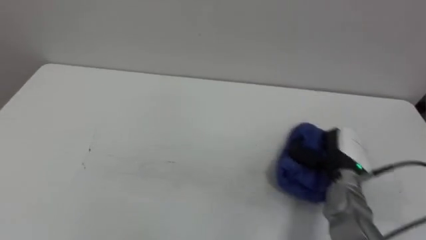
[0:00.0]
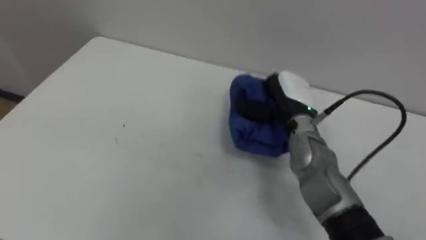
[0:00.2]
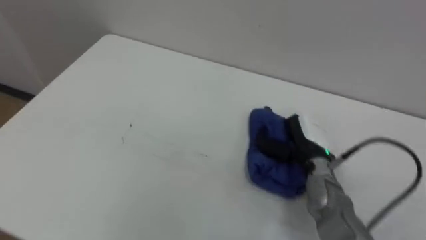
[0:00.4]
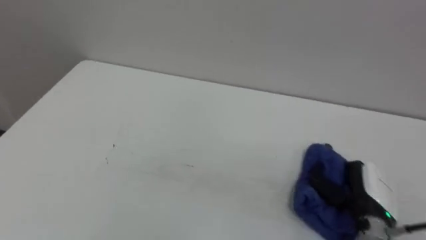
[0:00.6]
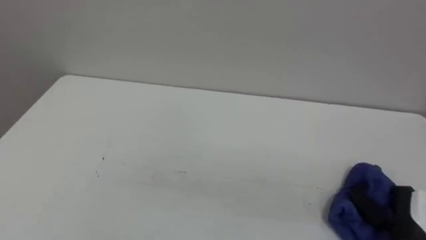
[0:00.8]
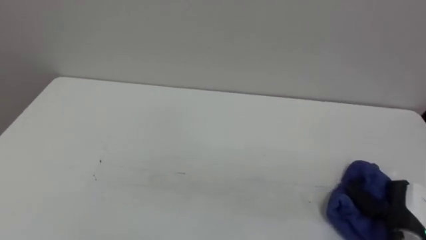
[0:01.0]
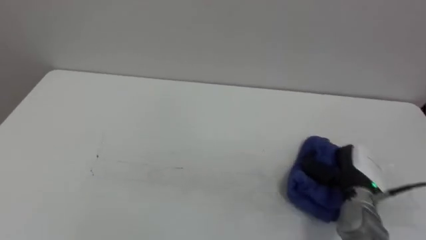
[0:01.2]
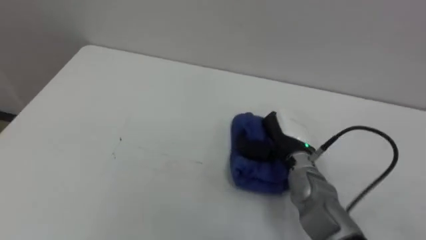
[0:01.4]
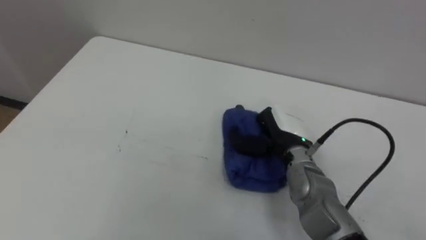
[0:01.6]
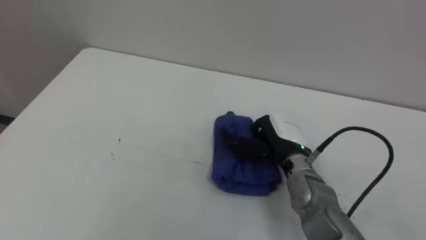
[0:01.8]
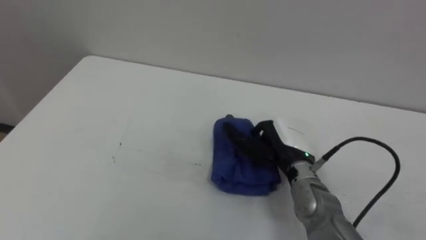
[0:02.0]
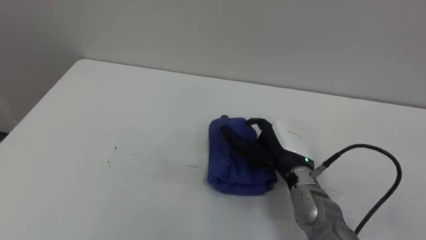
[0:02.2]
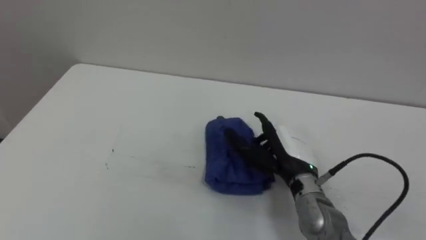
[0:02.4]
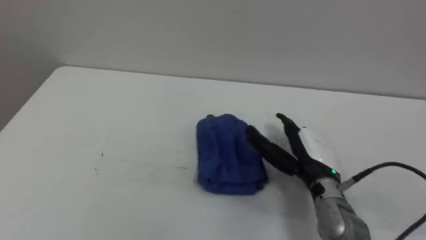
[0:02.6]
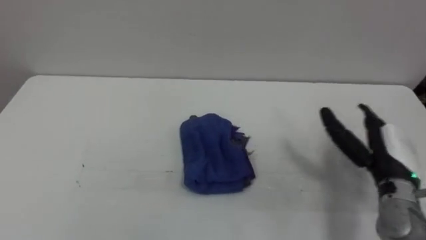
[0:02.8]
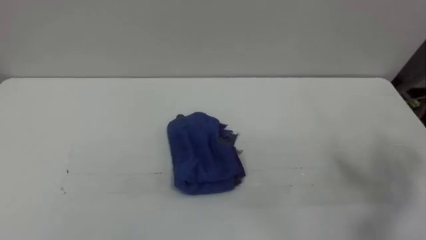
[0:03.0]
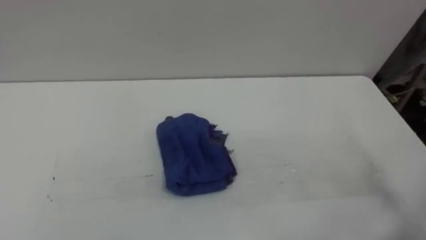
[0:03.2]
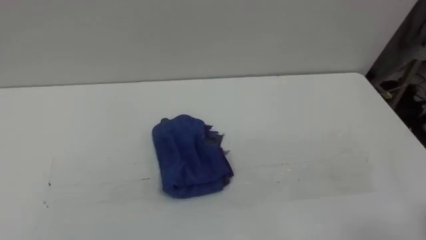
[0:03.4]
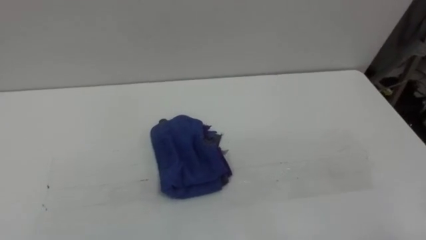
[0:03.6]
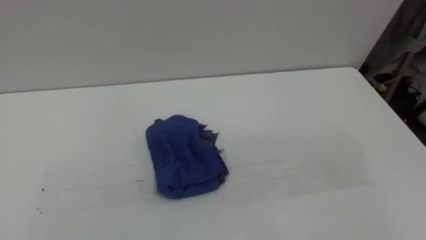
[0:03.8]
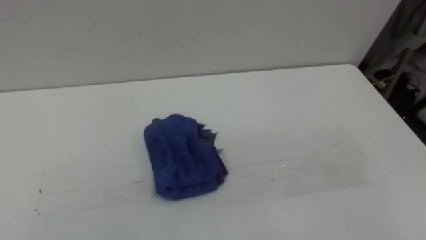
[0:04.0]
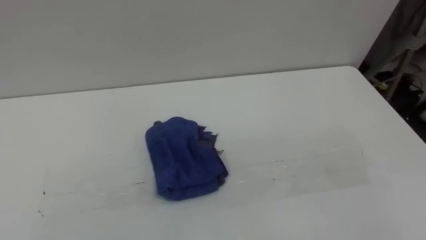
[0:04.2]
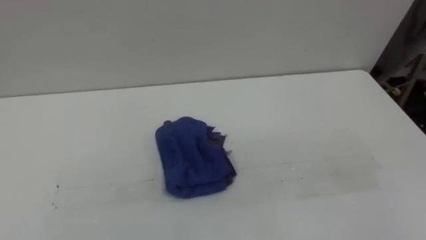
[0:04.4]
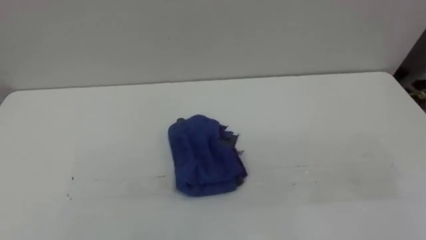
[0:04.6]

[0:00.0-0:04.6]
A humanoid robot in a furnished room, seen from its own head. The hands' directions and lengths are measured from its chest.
Task of the whole recording: Wipe the blue pen marks off the table with the rag.
0:00.0 to 0:01.6: The right hand moves left and right over approximately 20 cm, changing direction 2 times.

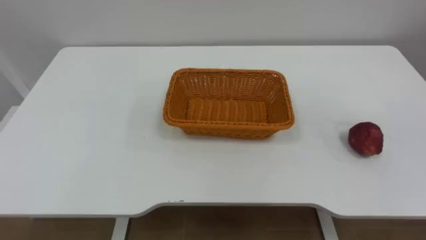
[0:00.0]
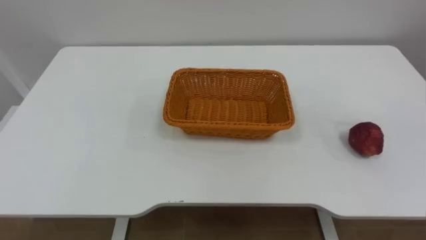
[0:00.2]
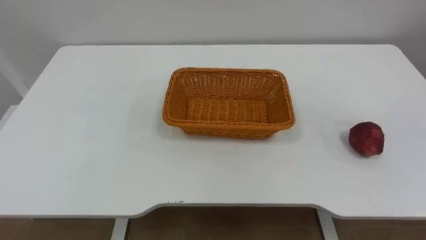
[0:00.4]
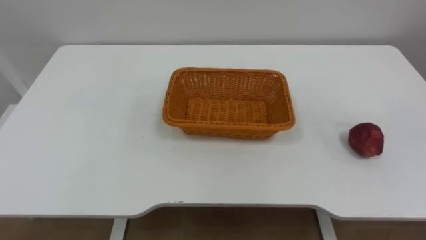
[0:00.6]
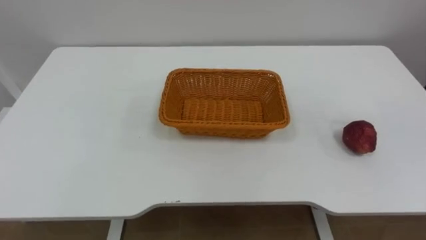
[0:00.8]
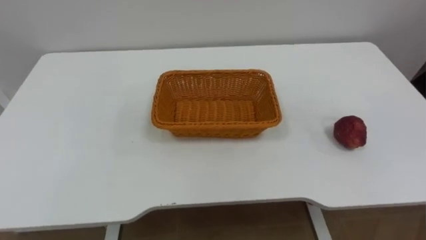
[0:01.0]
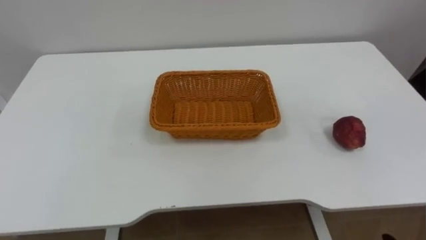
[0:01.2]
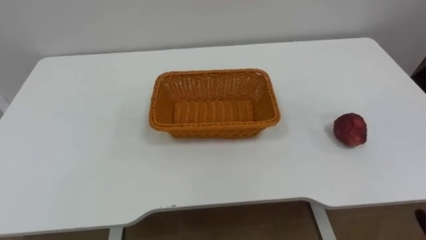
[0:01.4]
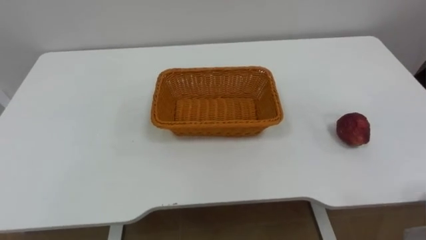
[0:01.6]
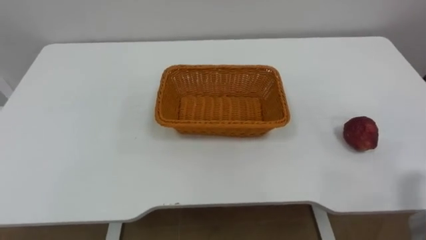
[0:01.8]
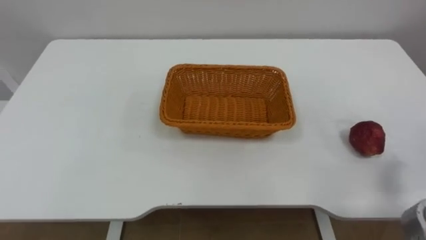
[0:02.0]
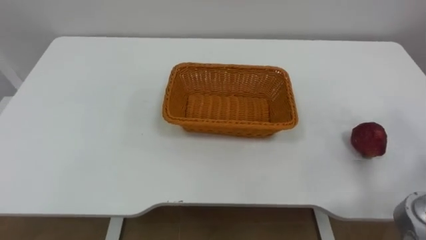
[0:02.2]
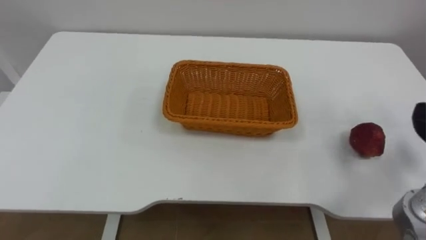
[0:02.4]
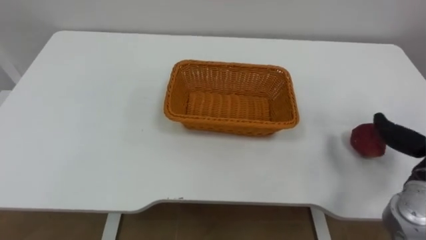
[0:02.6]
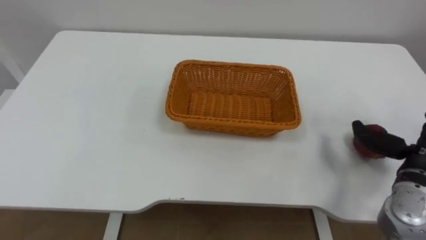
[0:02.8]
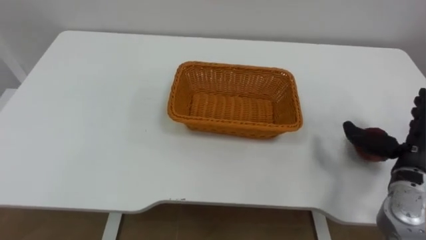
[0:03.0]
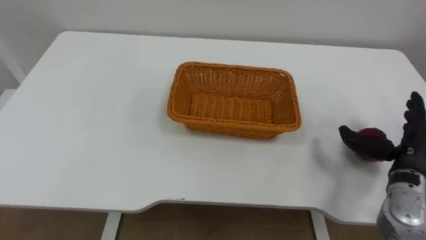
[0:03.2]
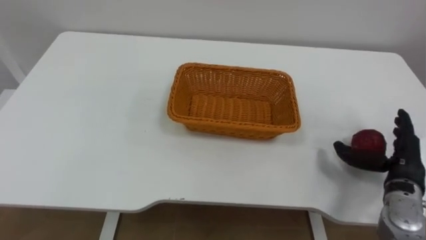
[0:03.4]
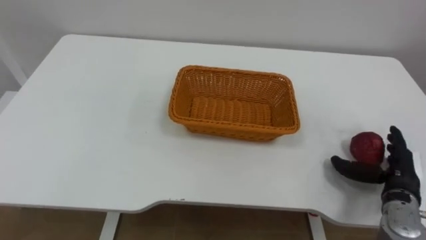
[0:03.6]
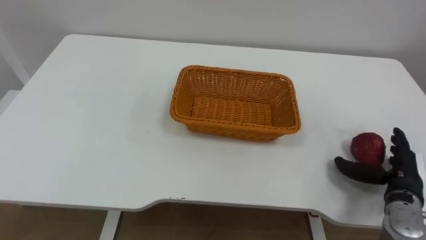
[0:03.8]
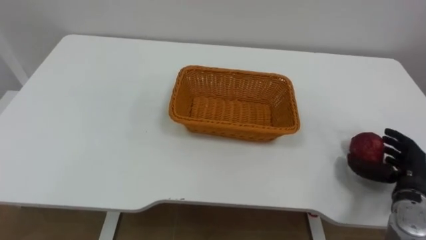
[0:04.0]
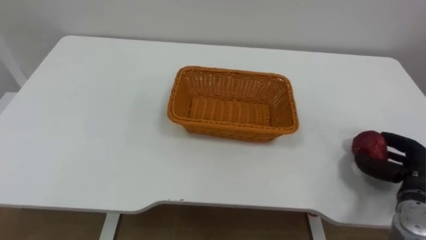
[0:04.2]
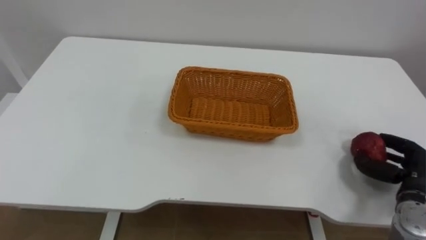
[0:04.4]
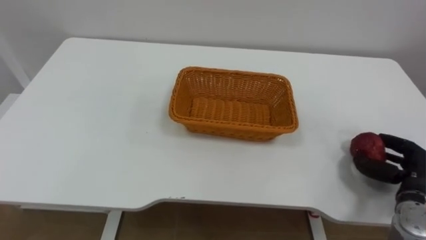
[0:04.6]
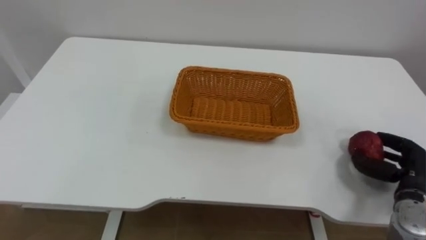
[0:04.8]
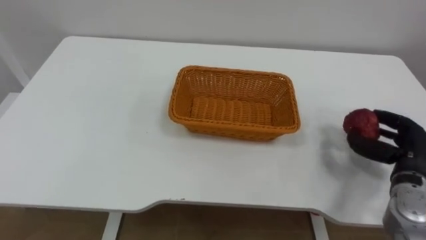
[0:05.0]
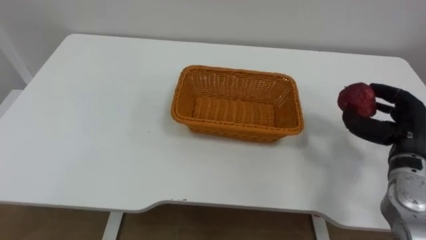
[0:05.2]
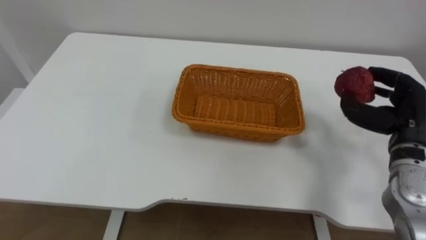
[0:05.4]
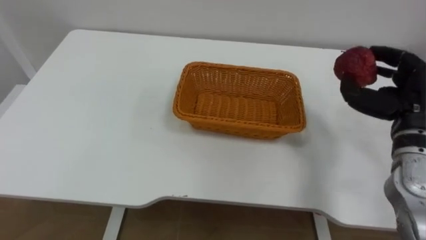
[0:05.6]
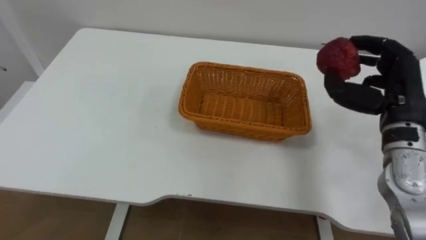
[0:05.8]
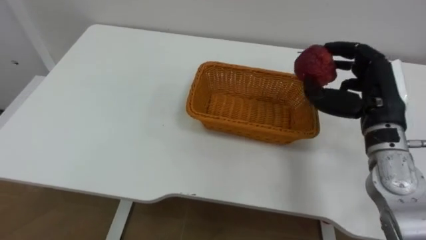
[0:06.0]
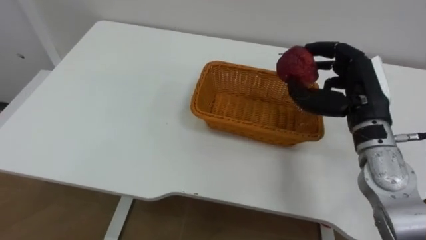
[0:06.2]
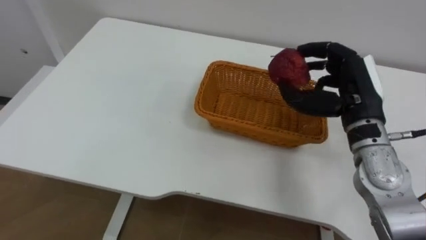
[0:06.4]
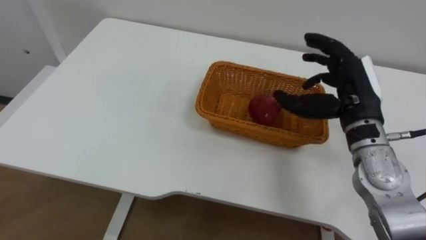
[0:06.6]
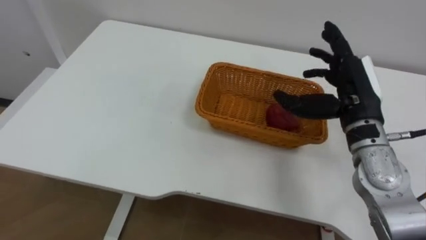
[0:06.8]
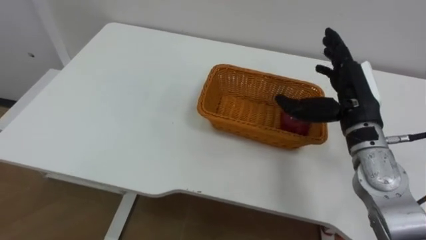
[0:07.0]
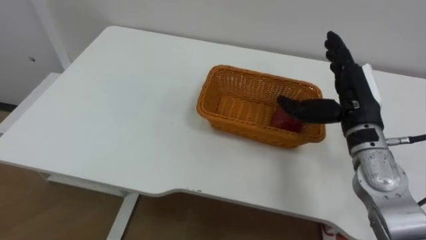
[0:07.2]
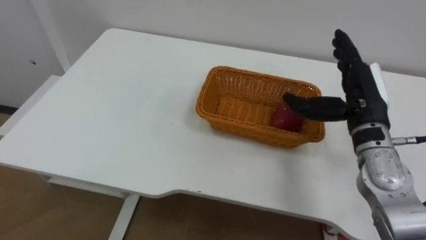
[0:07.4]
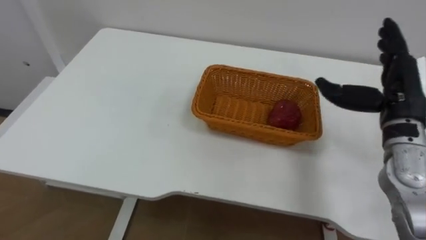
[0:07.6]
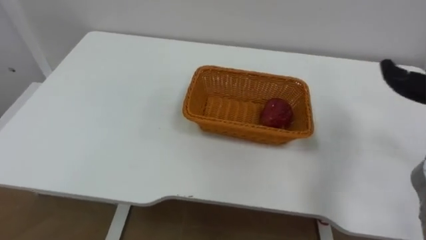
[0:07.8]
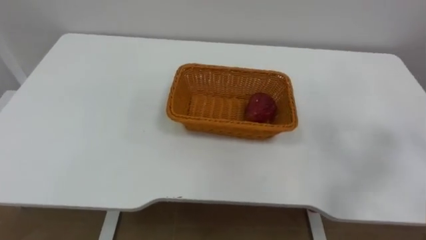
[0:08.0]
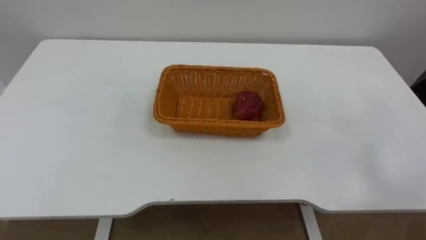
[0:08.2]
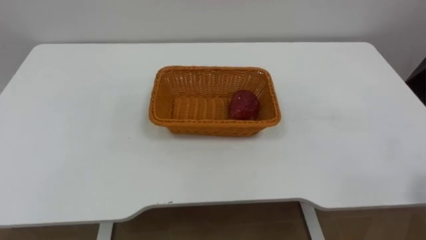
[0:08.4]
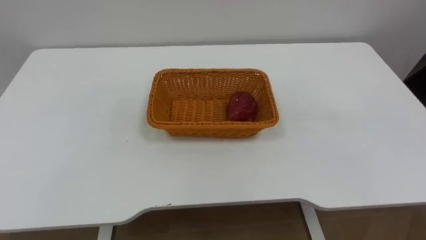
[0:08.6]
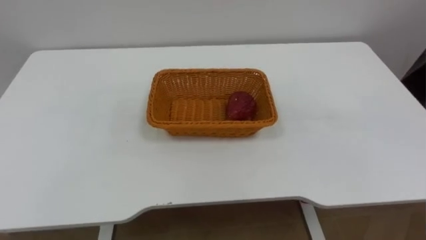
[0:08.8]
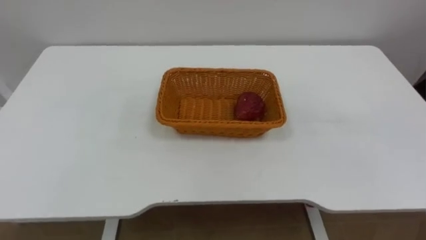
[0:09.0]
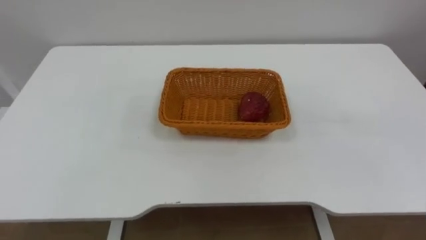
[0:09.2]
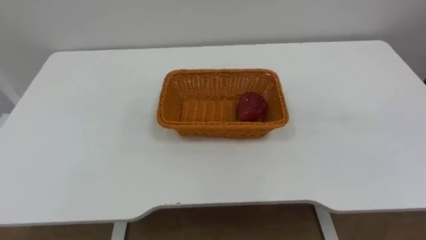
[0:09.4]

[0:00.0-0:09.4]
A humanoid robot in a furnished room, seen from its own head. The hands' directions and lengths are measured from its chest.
Task of the whole recording: Pick the apple and place it in the box.
0:03.2 to 0:04.8: The right hand moves downward, some 5 cm, and closes.
0:04.8 to 0:06.2: The right hand goes some 20 cm upward, to the left and forward.

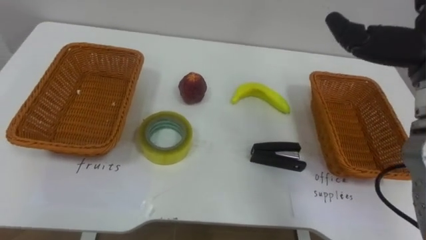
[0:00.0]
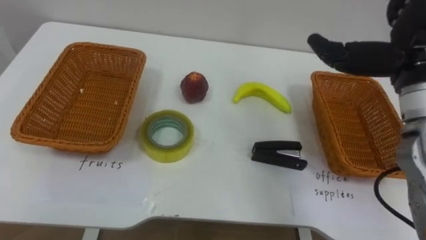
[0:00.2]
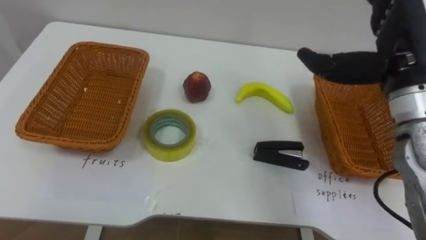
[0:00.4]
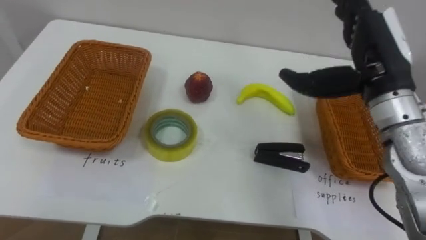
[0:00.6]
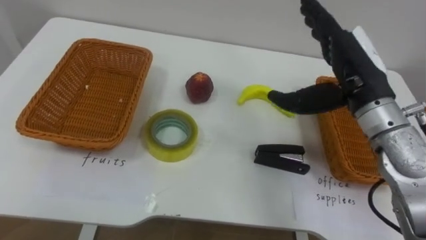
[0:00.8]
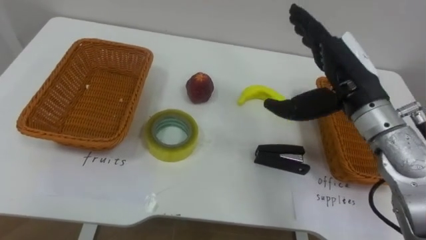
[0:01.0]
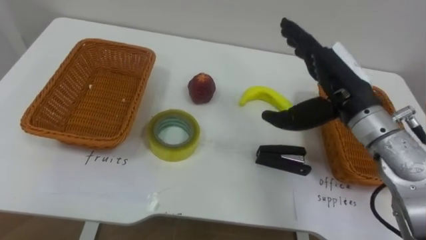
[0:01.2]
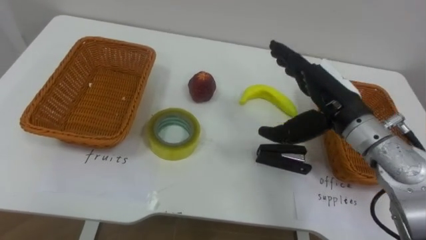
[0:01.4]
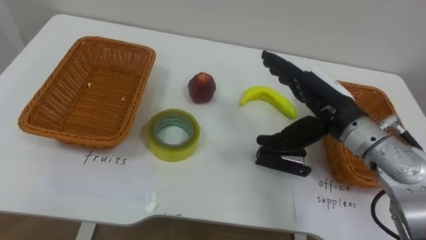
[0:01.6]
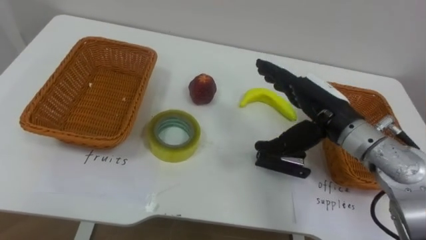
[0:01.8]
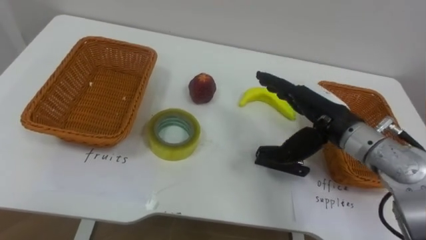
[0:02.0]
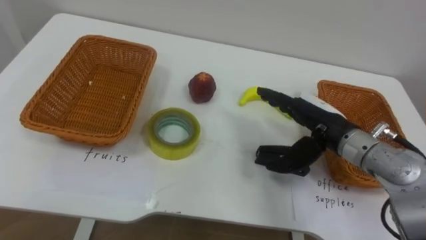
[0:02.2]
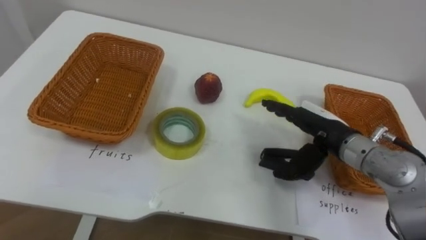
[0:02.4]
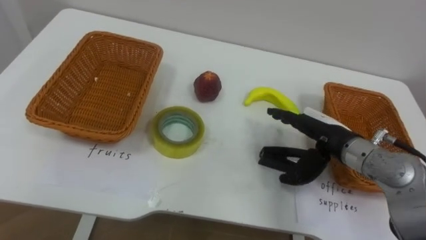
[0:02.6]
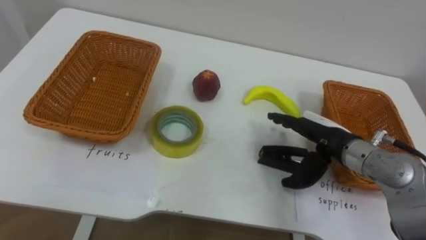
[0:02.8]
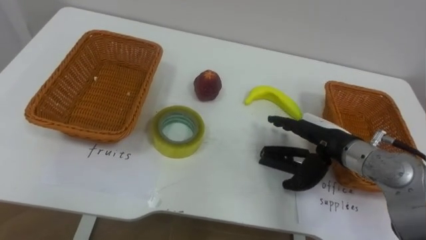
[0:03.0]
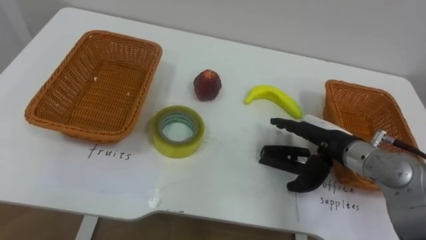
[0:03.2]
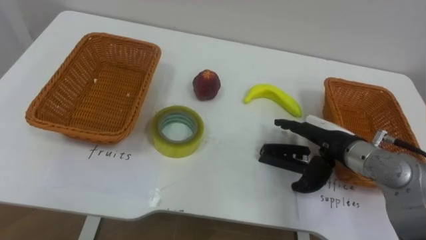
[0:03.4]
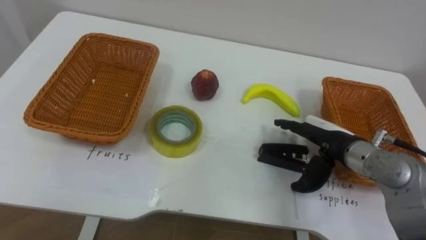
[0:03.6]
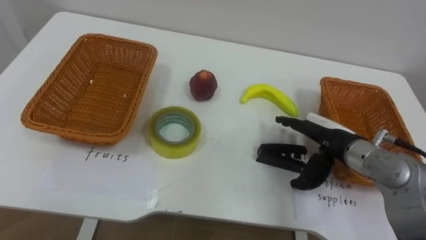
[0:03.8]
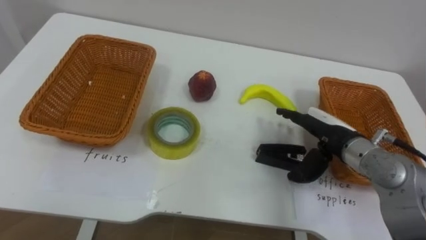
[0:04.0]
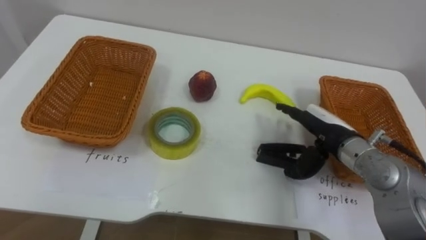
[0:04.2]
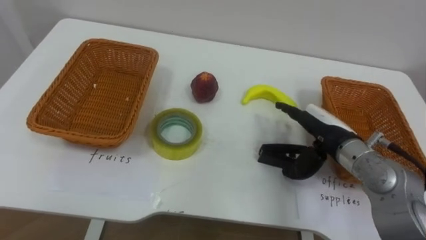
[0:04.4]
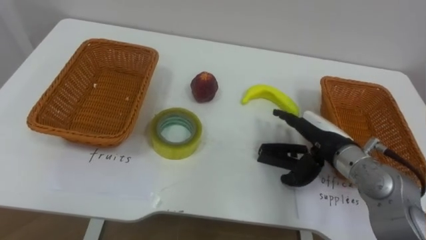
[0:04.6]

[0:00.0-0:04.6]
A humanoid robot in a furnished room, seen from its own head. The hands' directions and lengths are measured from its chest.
Task of the whole recording: Separate the items on the table and place them into the two baskets.
0:01.6 to 0:03.0: The right hand shifts approximately 10 cm downward.
